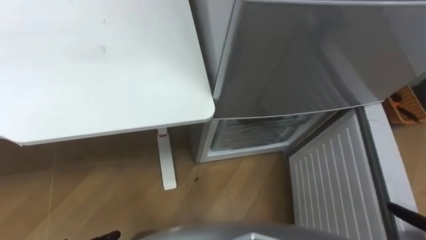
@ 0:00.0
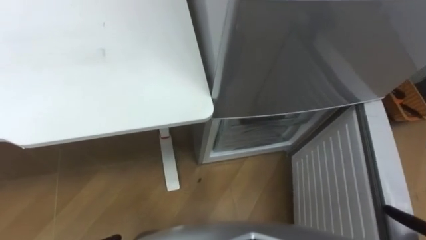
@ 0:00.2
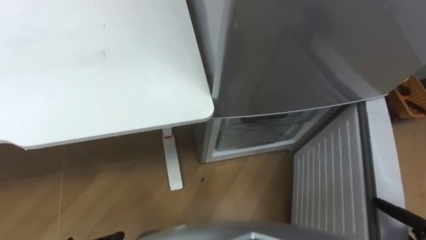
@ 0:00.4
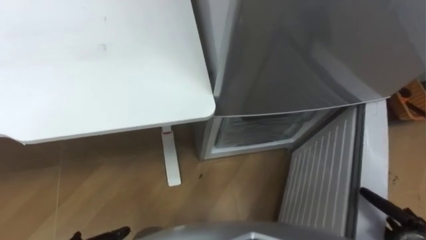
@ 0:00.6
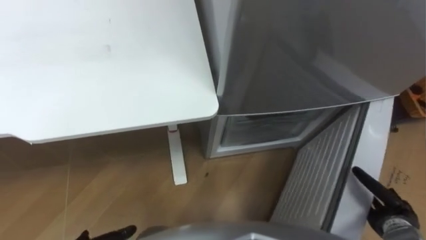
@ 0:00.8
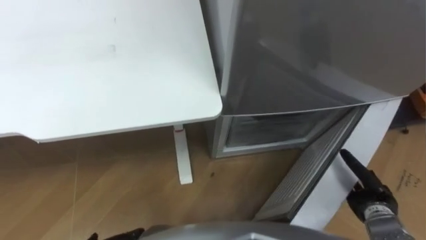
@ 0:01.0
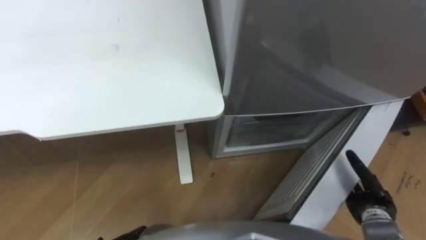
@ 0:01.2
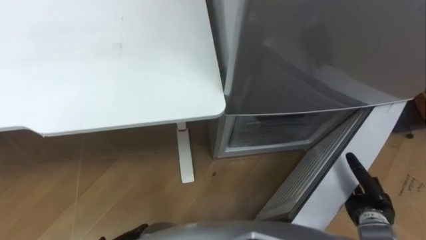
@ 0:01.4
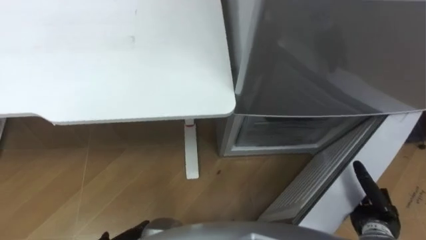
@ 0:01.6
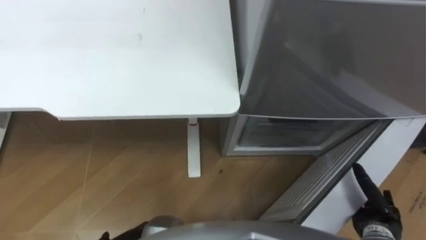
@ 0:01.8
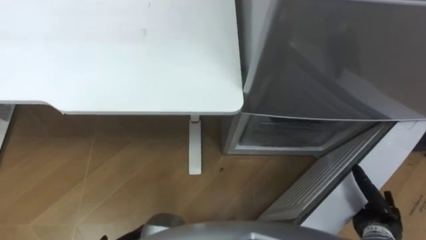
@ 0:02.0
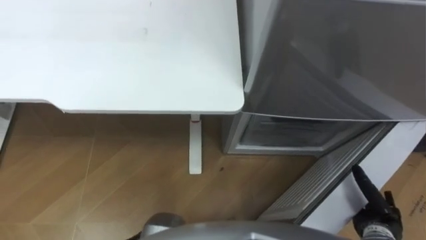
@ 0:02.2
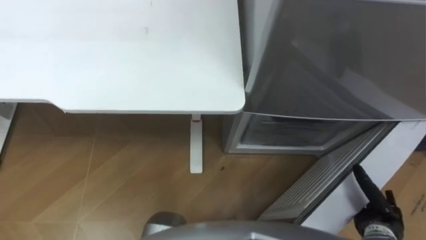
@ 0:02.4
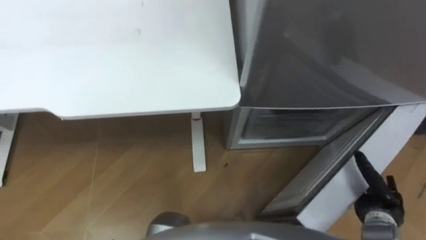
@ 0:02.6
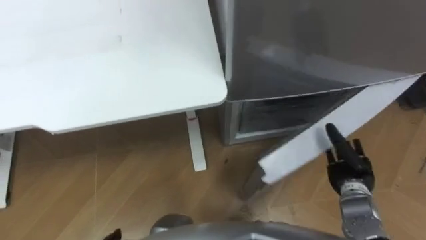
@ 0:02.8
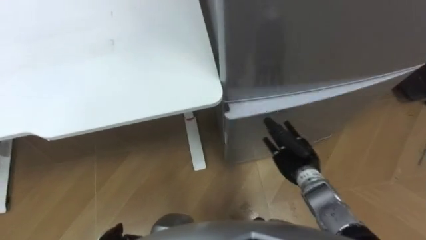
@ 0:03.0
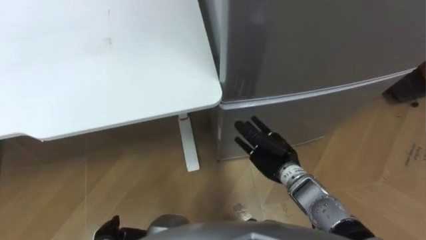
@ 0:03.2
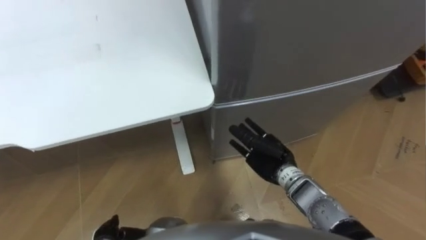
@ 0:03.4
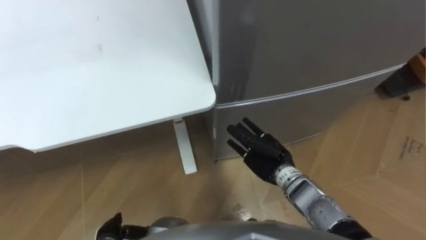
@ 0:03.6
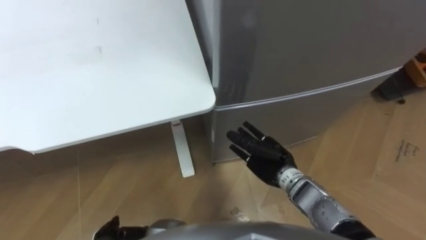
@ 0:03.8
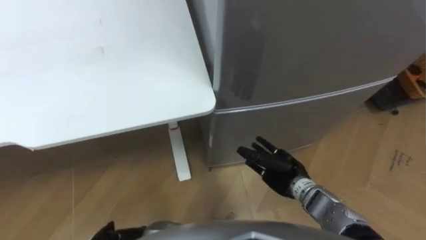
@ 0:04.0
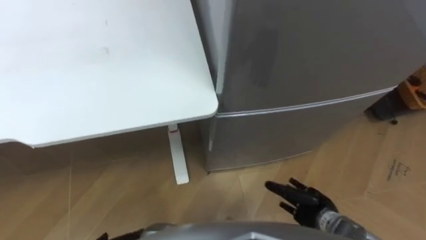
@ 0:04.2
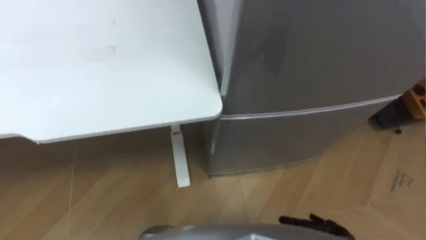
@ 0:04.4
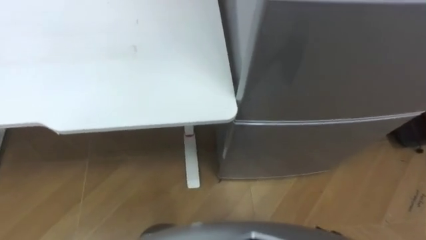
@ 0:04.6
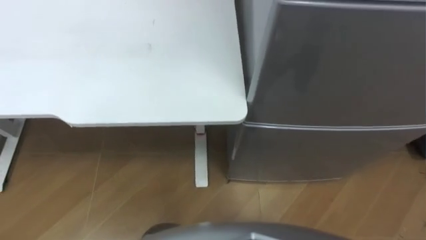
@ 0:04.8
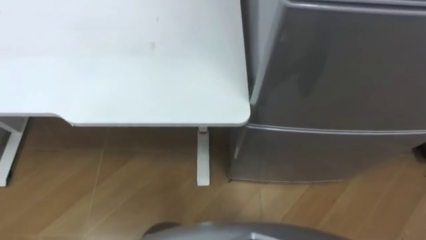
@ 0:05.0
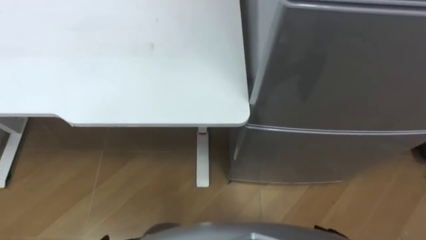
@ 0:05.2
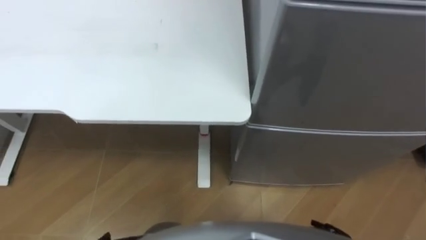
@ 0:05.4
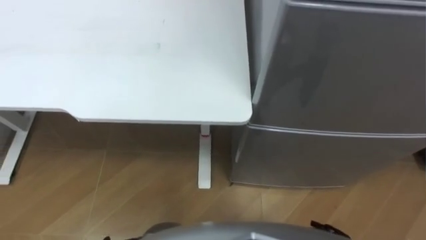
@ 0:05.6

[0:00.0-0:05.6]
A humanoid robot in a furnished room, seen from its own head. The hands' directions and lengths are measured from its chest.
Task of the whole recording: Place the drink on the table on the bottom shelf of the refrigerator, then close the drawer and the refrigerator door.
0:01.4 to 0:02.8: The right hand goes approximately 5 cm forward.
0:02.8 to 0:04.2: The right hand shifts roughly 10 cm to the left.
0:04.2 to 0:05.6: The robot turns to its left by roughly 15 degrees.

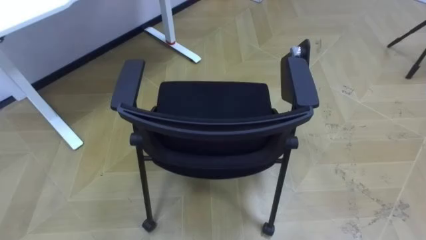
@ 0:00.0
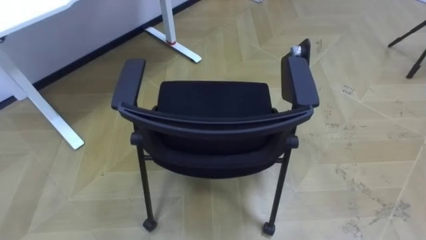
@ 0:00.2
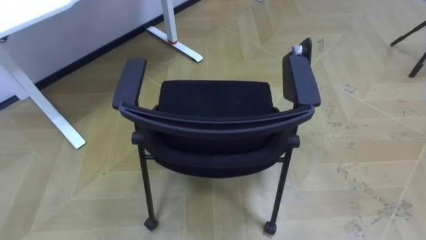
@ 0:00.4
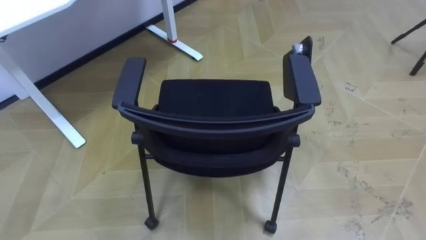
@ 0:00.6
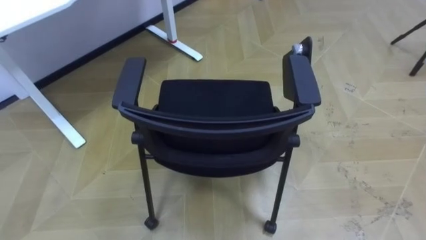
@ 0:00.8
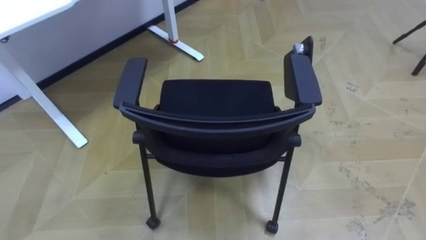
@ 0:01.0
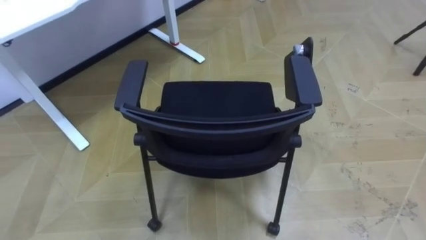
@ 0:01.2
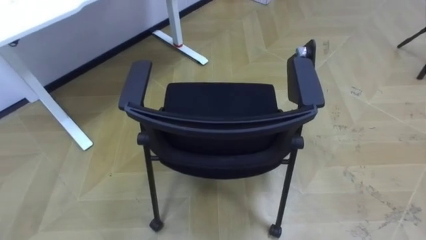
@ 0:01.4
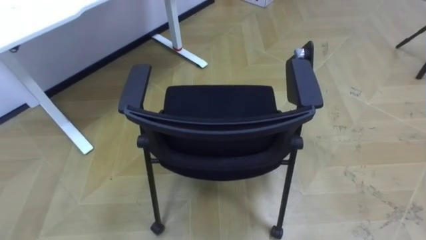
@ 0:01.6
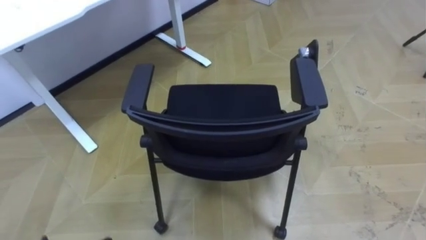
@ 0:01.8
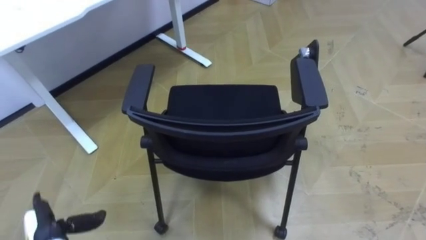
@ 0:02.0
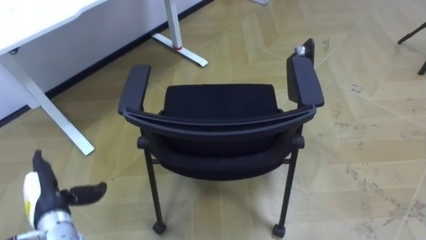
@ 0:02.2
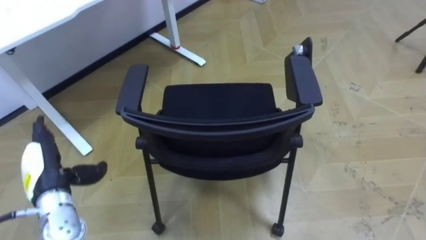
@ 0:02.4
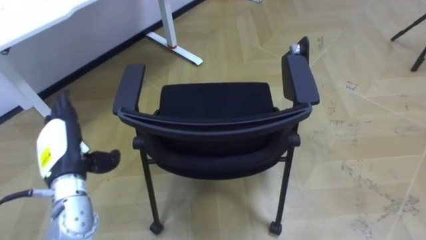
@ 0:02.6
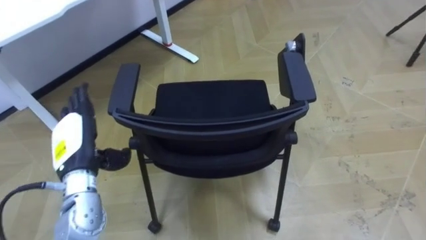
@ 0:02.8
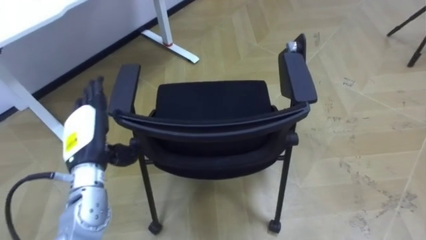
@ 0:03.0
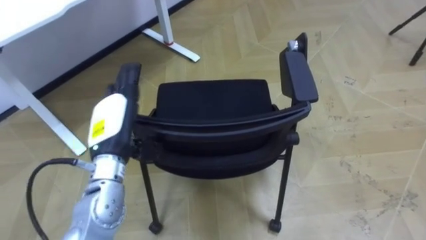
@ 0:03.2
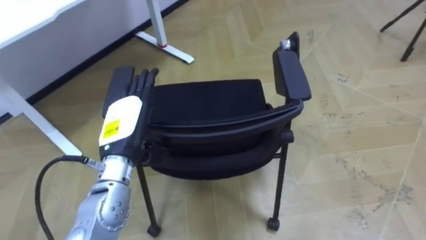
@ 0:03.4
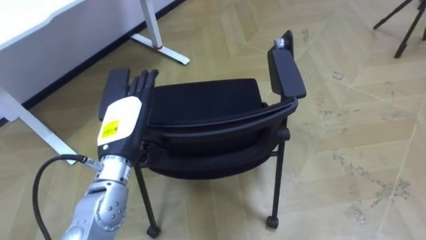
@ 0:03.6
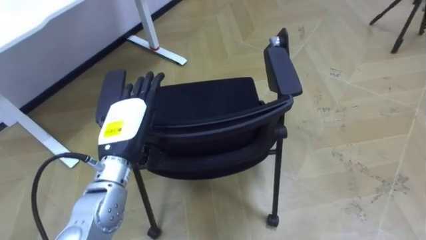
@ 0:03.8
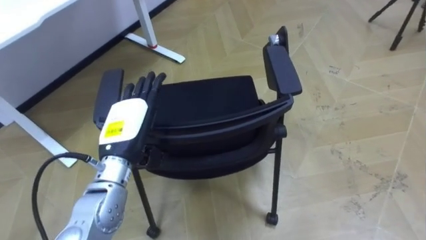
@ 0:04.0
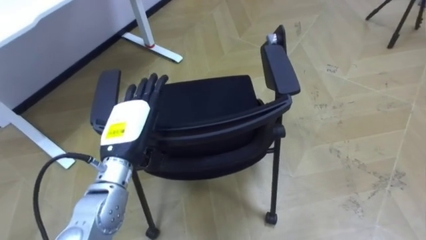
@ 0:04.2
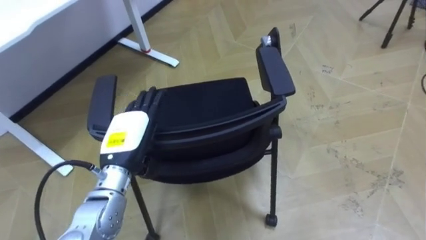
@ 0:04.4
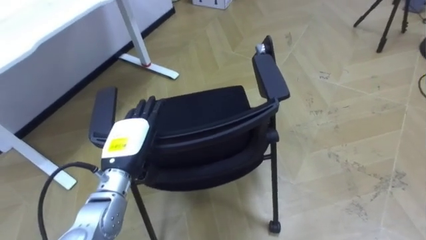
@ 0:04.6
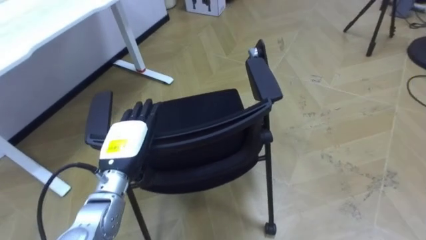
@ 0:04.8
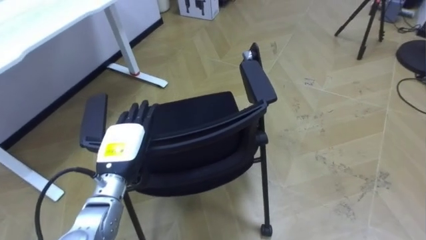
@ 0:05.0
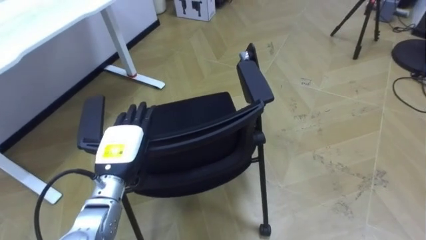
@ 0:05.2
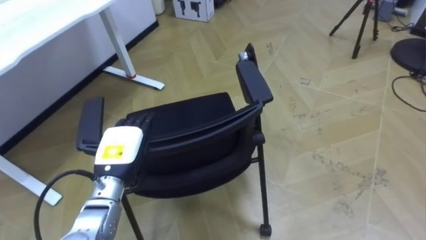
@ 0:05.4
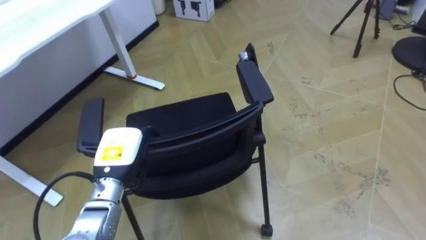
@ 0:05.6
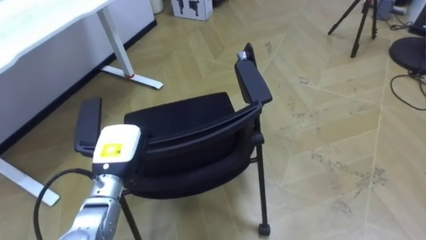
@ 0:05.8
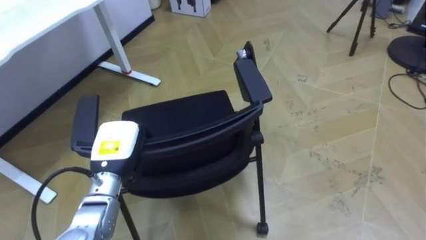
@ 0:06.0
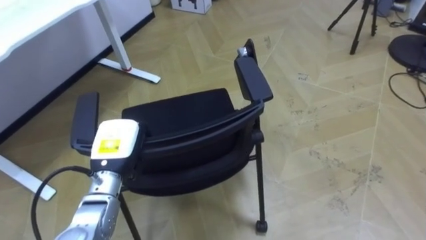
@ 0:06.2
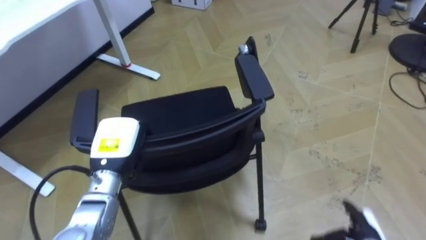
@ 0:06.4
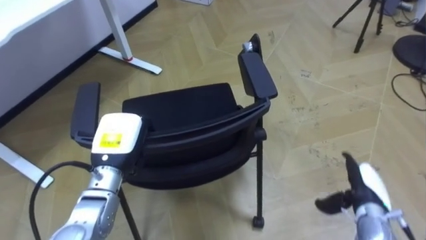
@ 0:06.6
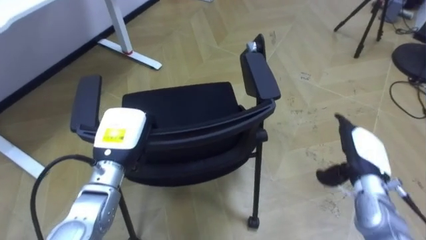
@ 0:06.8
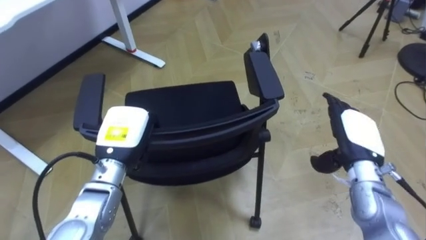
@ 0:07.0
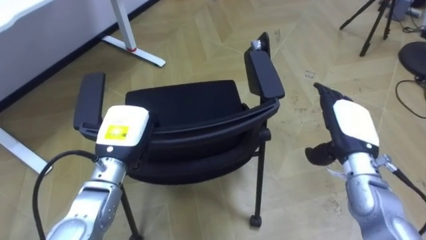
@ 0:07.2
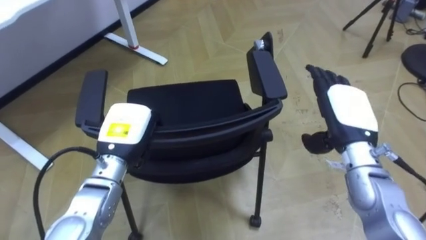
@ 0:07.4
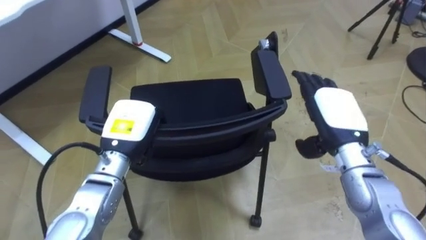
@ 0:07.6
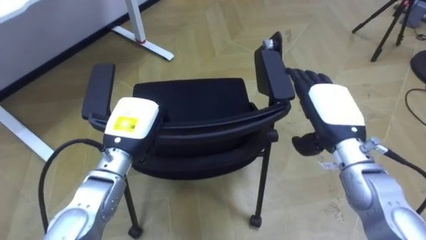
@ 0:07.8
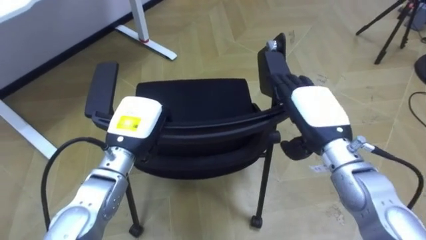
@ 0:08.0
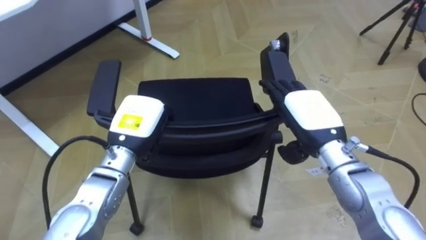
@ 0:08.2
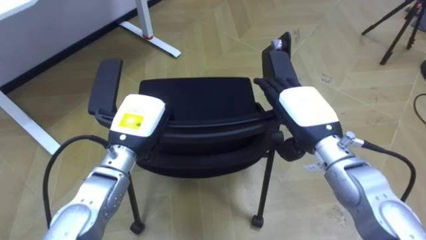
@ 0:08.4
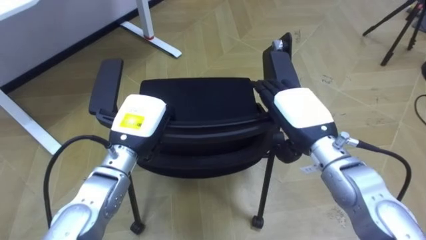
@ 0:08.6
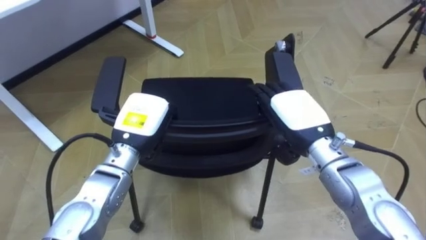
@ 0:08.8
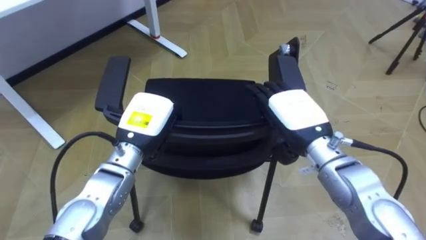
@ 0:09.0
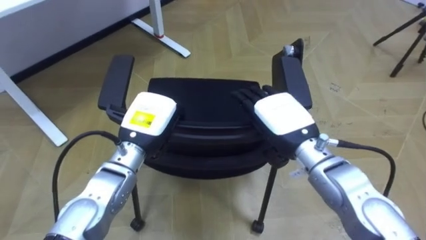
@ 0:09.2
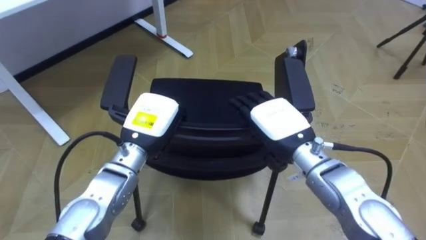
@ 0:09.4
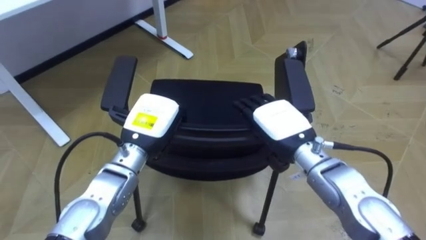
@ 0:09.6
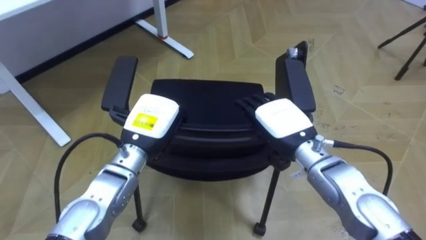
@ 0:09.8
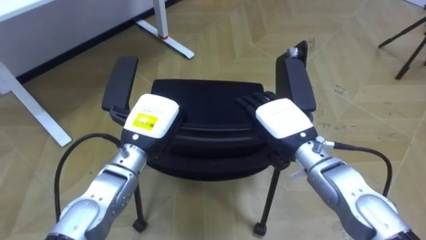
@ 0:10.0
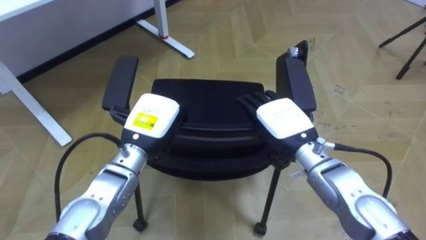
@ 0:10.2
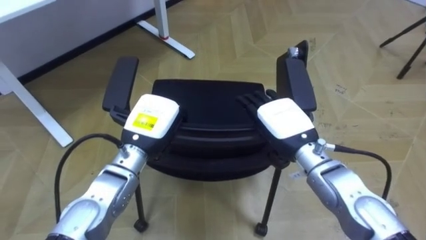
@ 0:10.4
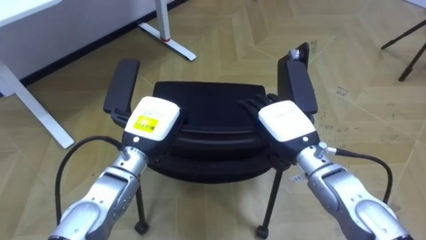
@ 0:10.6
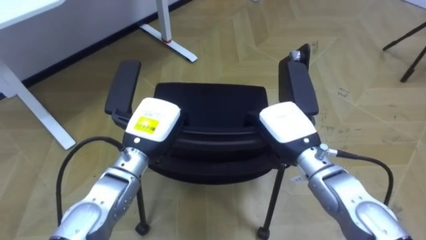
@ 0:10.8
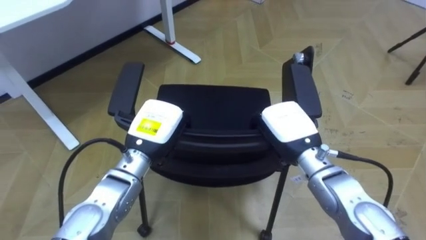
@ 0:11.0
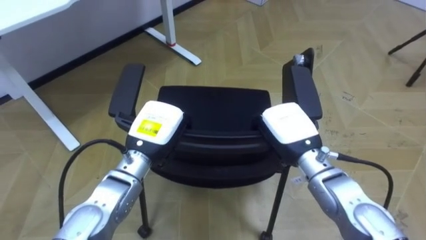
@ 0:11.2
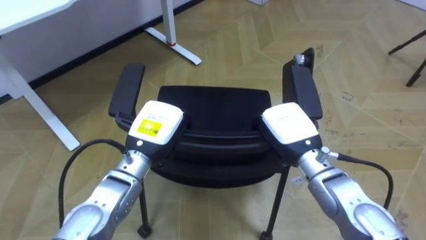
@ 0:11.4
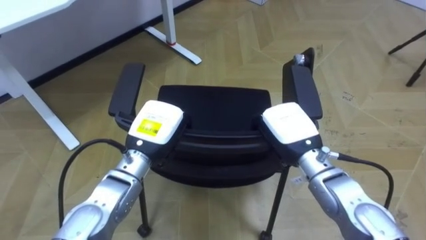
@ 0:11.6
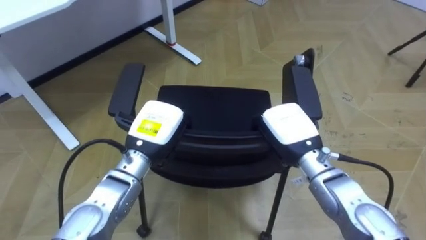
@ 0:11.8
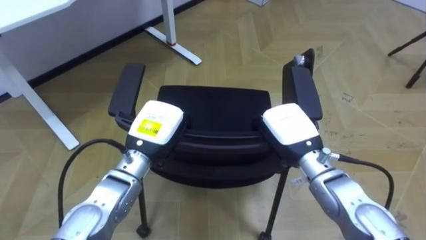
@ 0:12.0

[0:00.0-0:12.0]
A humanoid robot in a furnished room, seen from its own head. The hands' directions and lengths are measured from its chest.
Task of the whole recording: Push the chair under the table.
0:03.0 to 0:04.4: The left hand heads to the right, covering roughly 5 cm.
0:04.4 to 0:06.0: The left hand closes.
0:06.0 to 0:07.6: The left hand moves roughly 5 cm.
0:07.6 to 0:09.0: The right hand shifts approximately 5 cm to the left.
0:10.4 to 0:12.0: The right hand closes.
